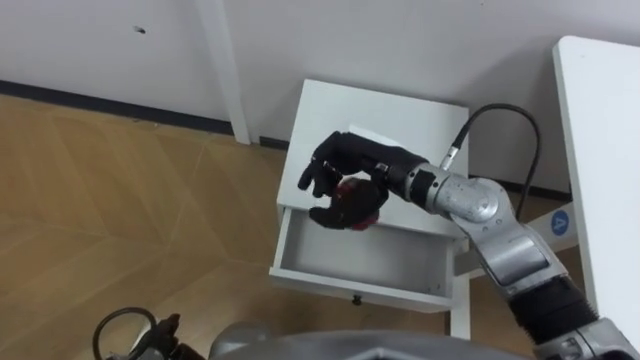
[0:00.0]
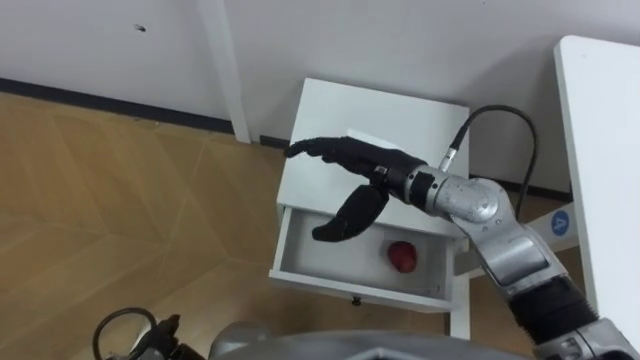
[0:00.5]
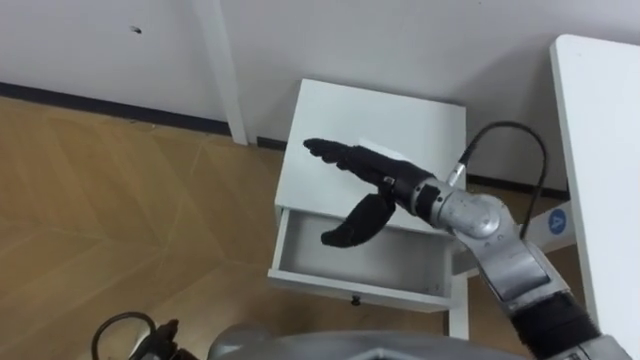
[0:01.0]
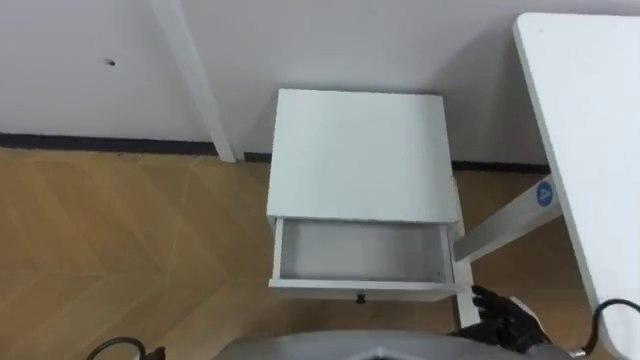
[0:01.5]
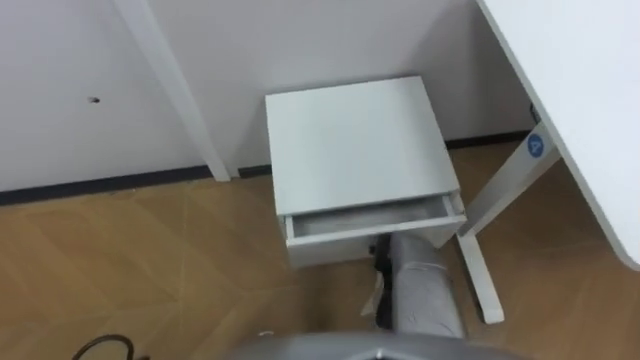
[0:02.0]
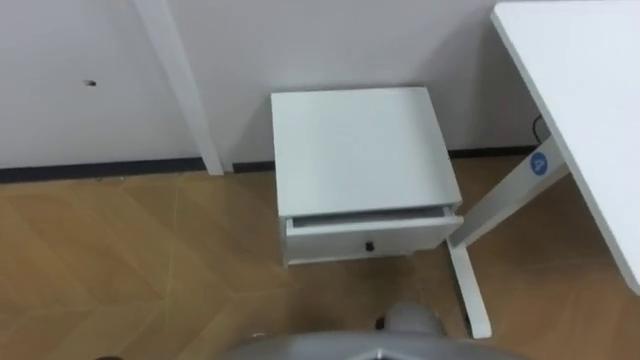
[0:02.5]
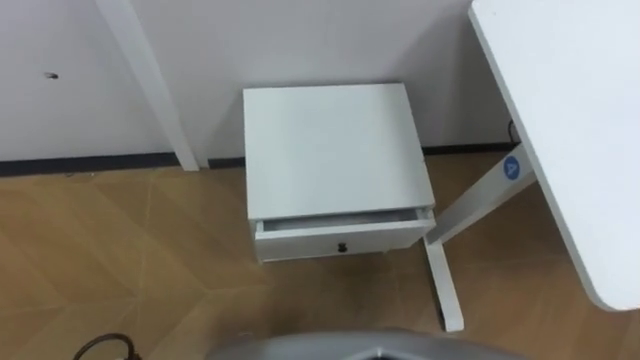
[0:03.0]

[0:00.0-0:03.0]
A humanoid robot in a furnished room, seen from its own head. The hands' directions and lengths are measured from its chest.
Task of the whole recording: Pick up the apple from the table, put it in the drawer, and close the drawer with leg.
0:00.0 to 0:01.5: The right hand goes roughly 35 cm to the right, downward and backward, and opens up.

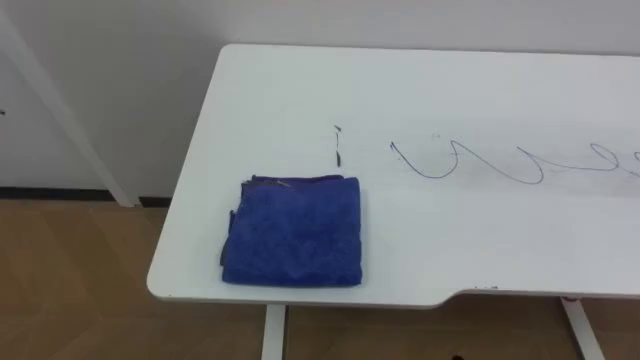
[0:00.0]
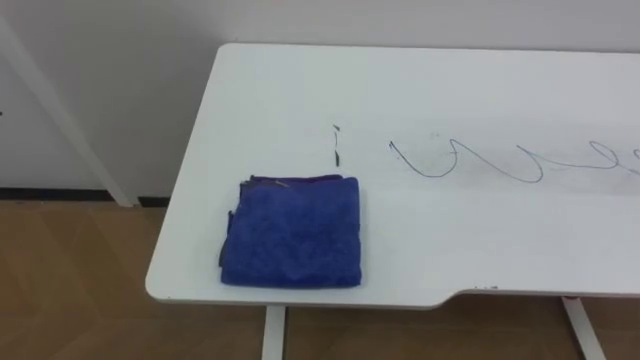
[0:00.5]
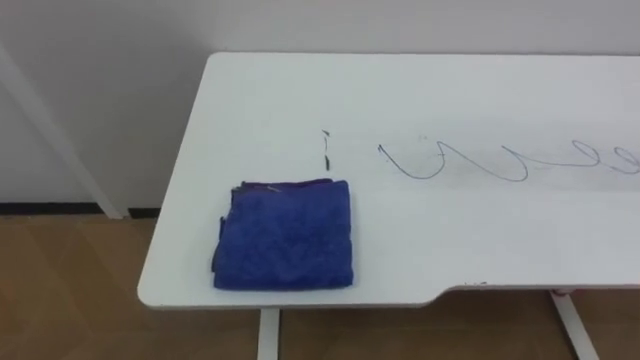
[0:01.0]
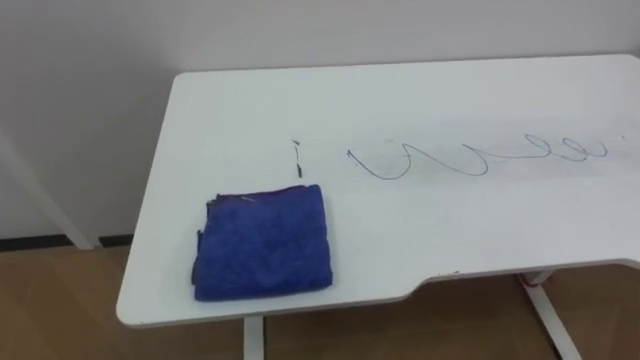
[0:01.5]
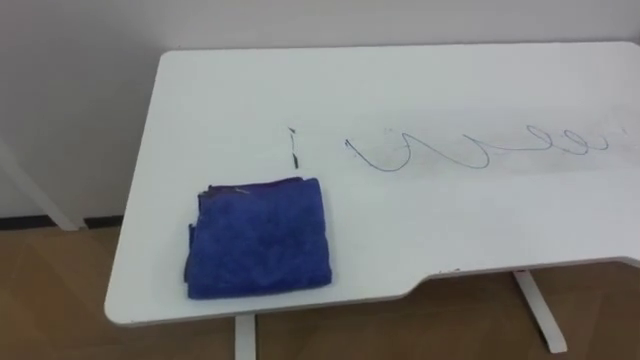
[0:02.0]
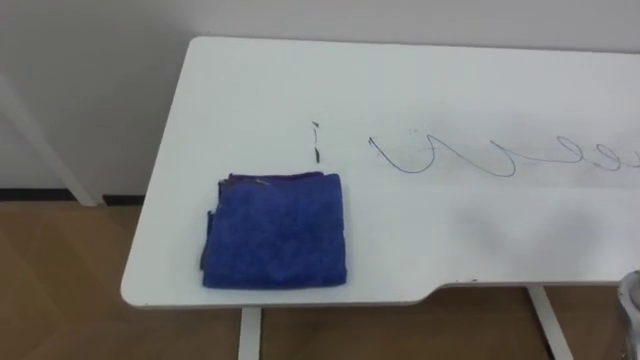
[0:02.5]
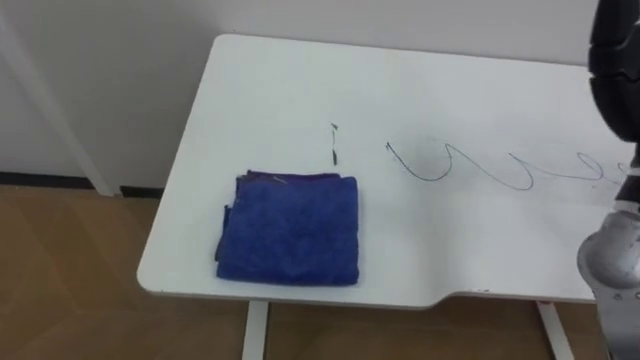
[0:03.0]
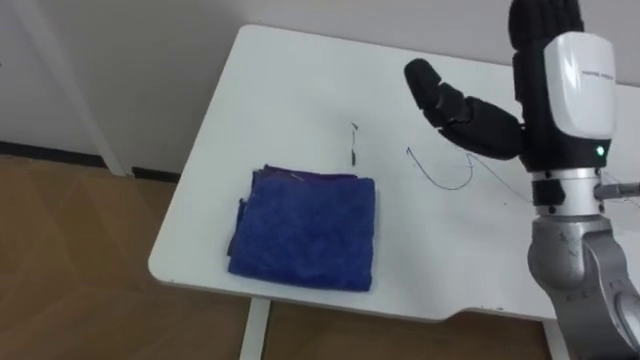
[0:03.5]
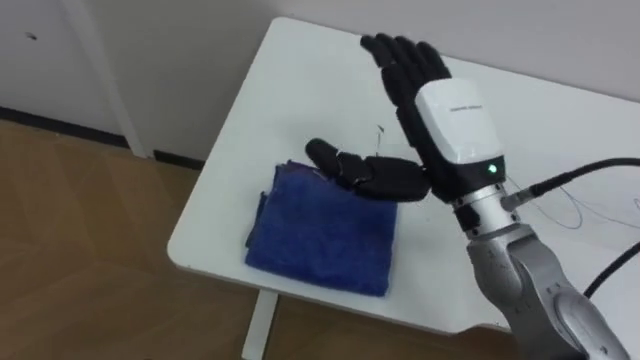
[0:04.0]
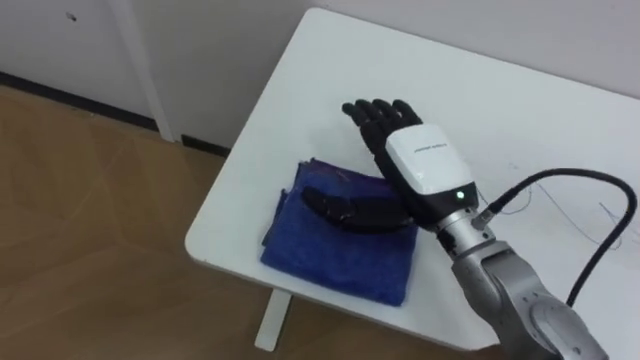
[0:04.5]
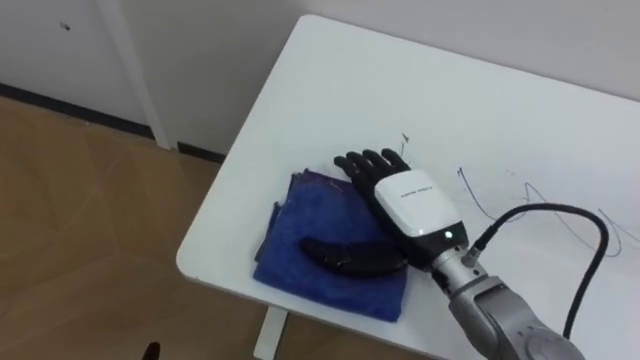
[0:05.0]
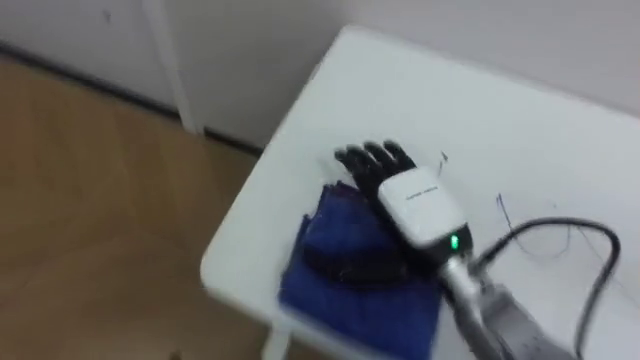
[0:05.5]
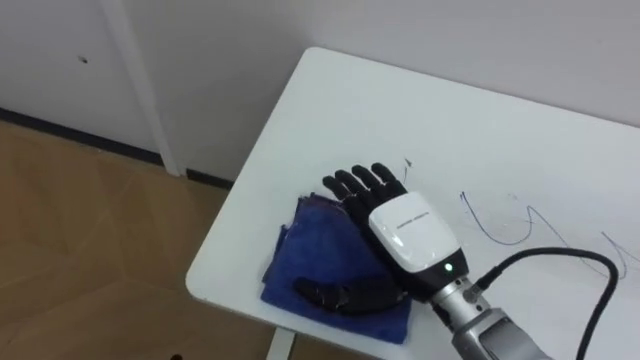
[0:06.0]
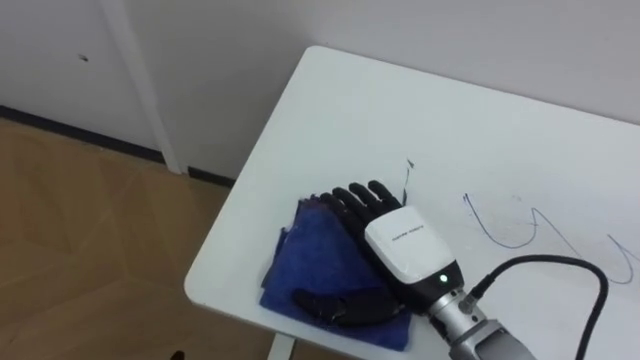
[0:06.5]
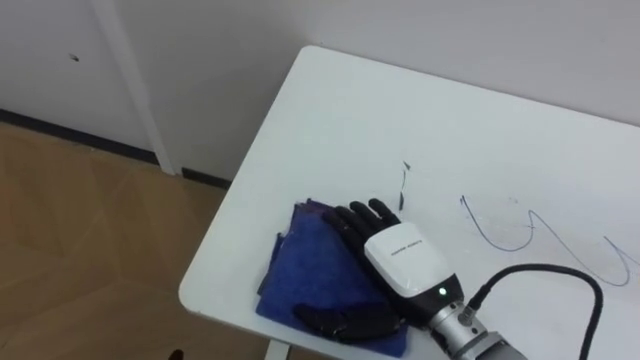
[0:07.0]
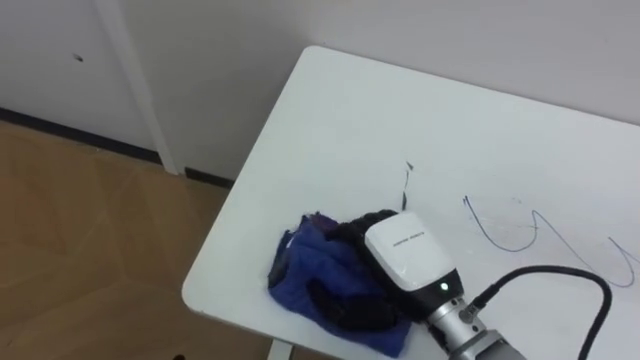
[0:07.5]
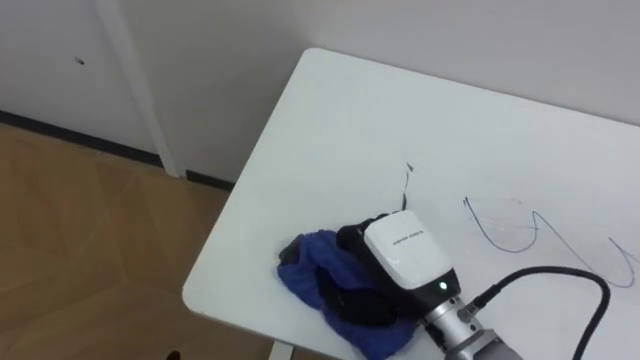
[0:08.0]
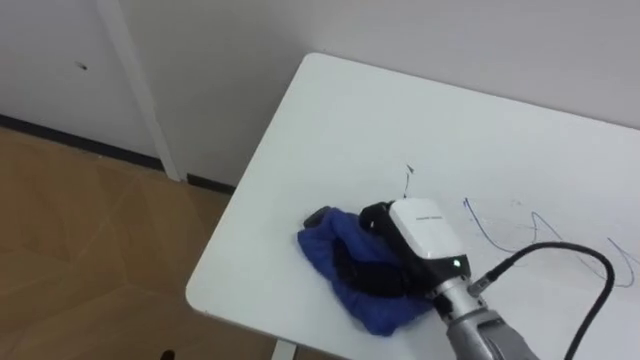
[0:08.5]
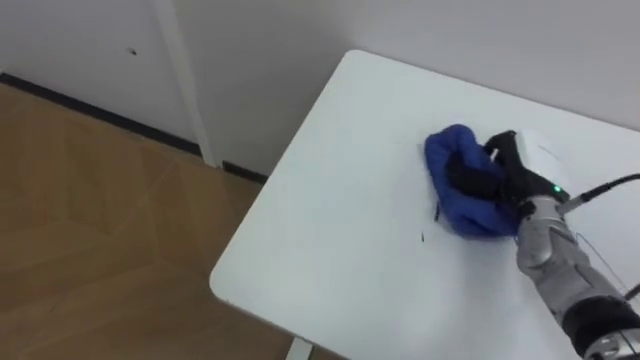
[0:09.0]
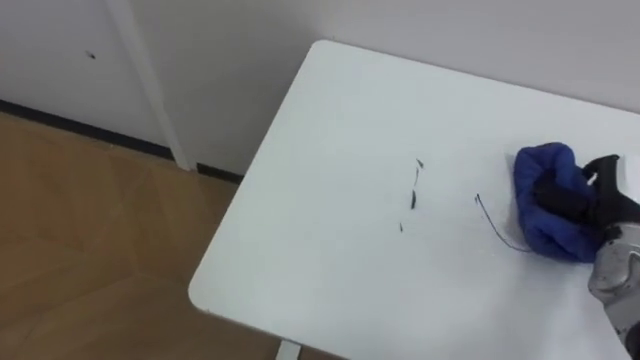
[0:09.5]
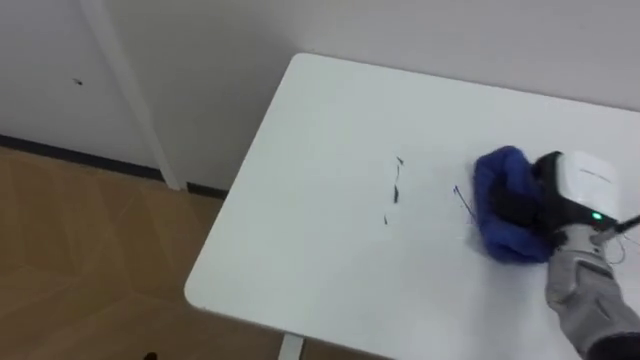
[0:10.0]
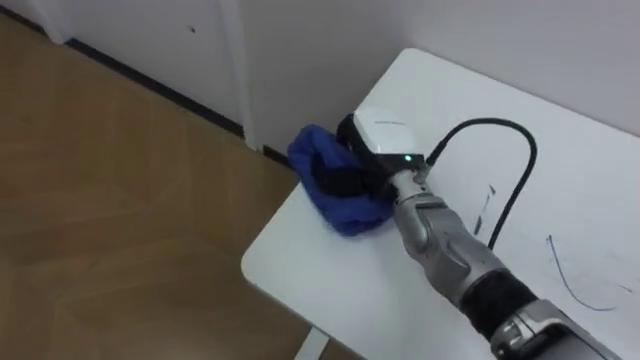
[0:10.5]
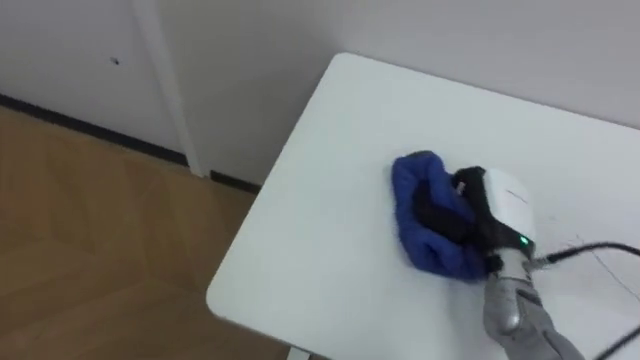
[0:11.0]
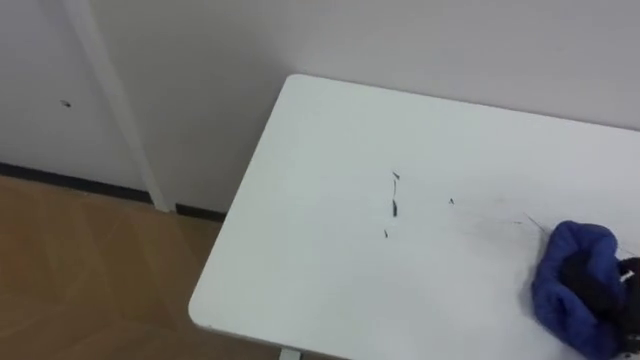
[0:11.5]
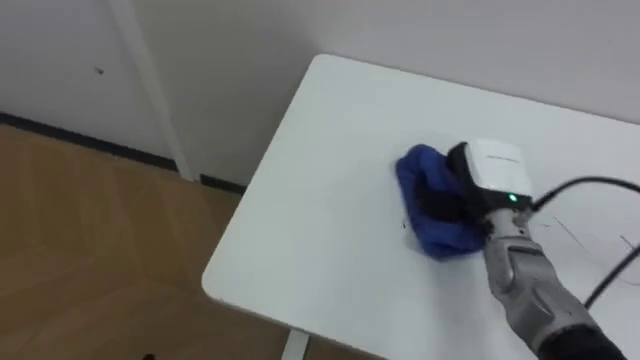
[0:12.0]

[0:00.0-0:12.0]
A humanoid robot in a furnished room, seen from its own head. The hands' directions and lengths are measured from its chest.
Task of the whole recording: Wipe the blue pen marks off the table with the rag.
0:04.0 to 0:06.0: The right hand travels downward and backward by some 15 cm.
0:06.0 to 0:08.0: The right hand closes its fingers.
0:08.0 to 0:10.0: The right hand moves to the right, about 25 cm.

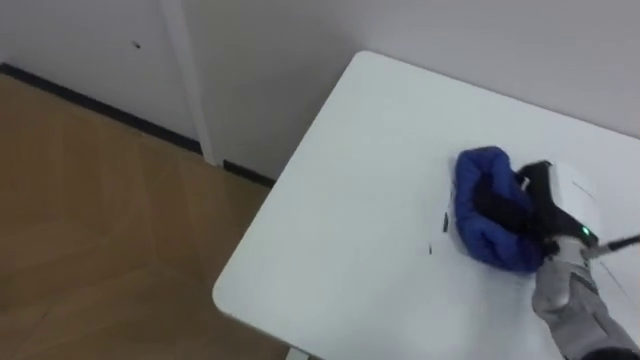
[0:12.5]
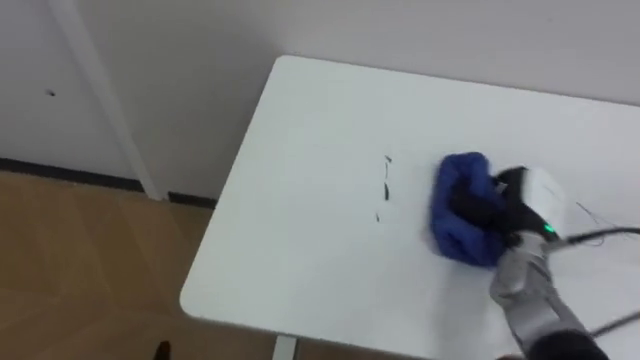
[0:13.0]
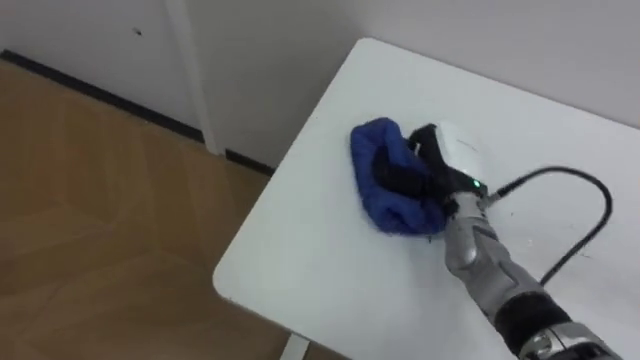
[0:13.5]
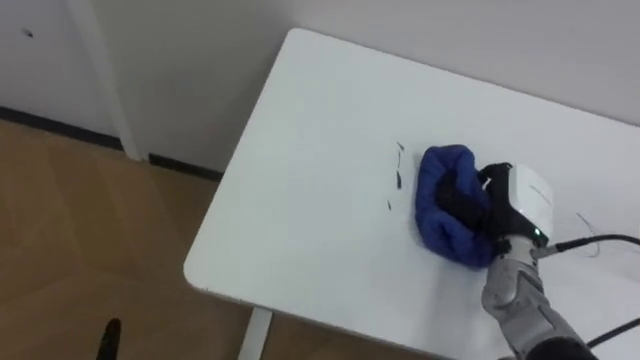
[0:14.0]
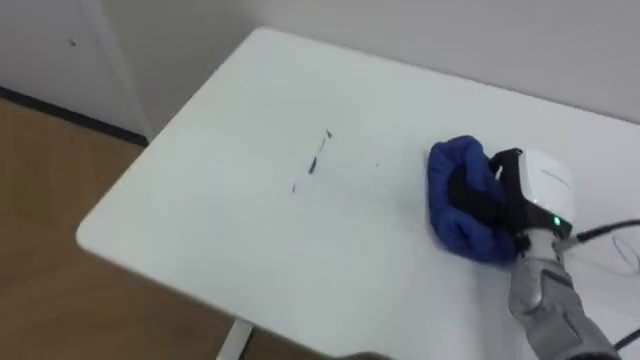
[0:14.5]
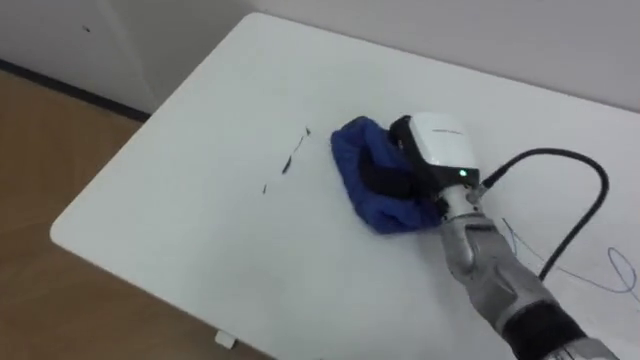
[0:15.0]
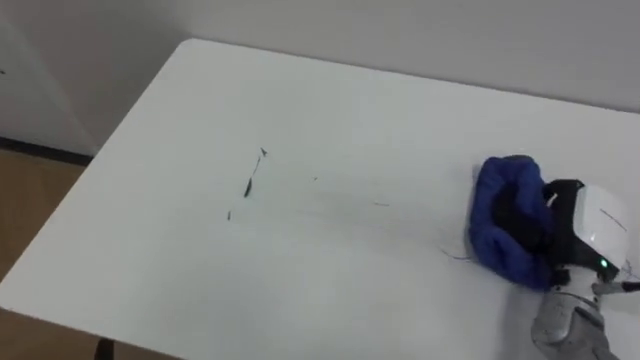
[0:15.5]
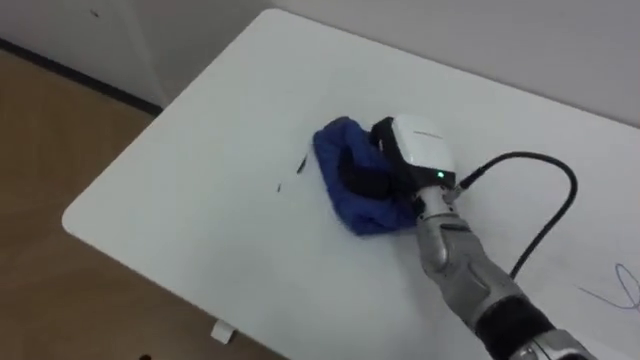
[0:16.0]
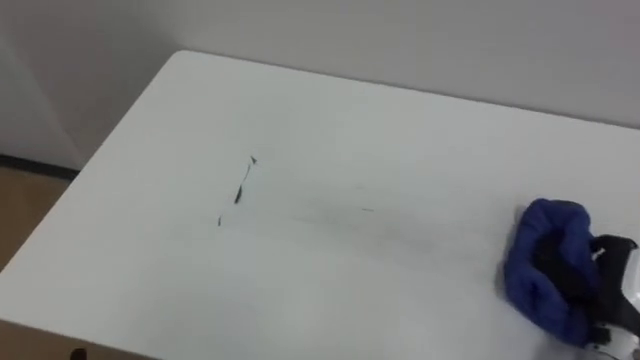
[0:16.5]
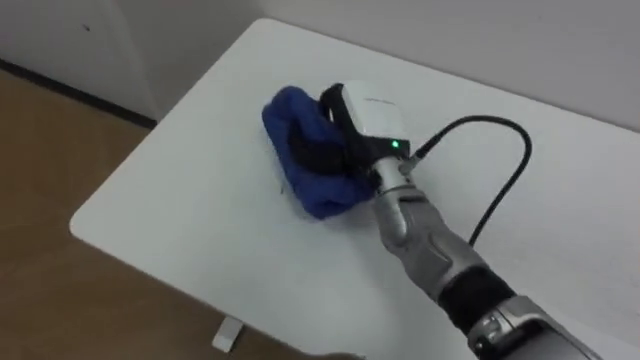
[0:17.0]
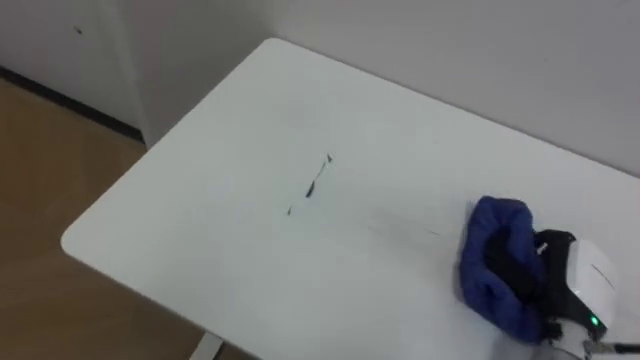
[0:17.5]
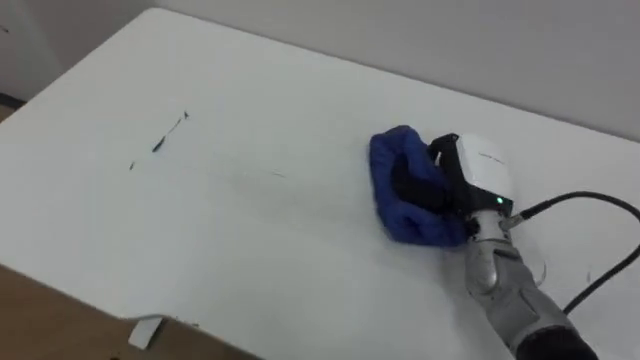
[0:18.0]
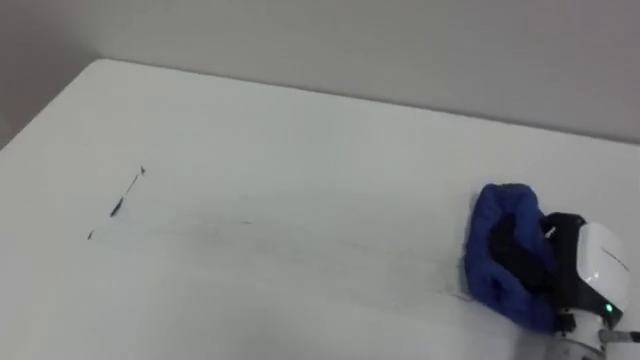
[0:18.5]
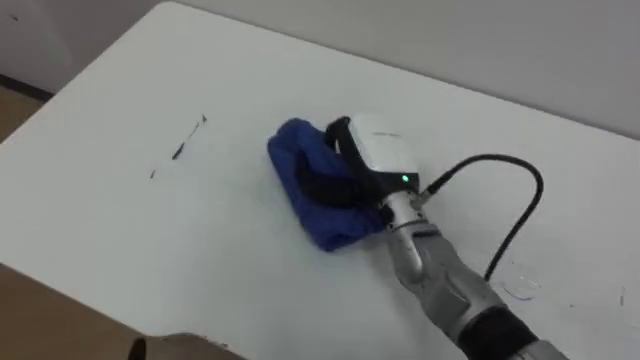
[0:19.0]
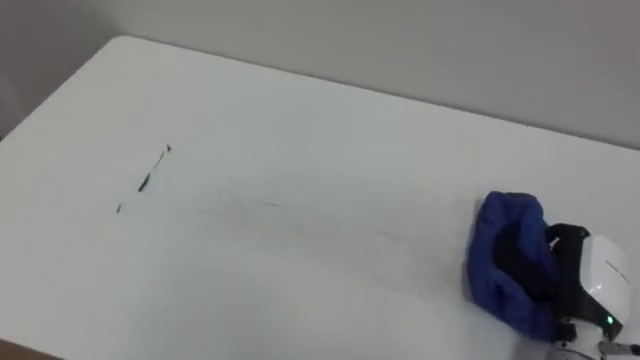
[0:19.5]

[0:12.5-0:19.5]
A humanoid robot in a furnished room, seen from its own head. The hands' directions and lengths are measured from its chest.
Task of the whole recording: Wipe the blue pen marks off the table with the rag.
0:12.5 to 0:14.5: The right hand moves roughly 15 cm to the left and comes back.
0:14.5 to 0:16.0: The right hand swings left and right, about 20 cm each way, with 2 reversals.
0:16.0 to 0:17.5: The right hand moves left and right over roughly 30 cm, changing direction 2 times.
0:17.5 to 0:19.5: The right hand goes left and right, about 25 cm each way, reversing 3 times.
